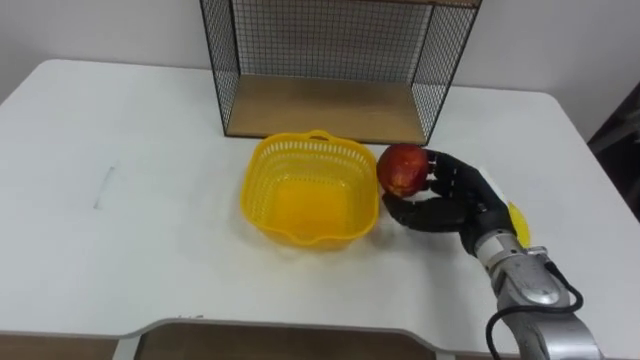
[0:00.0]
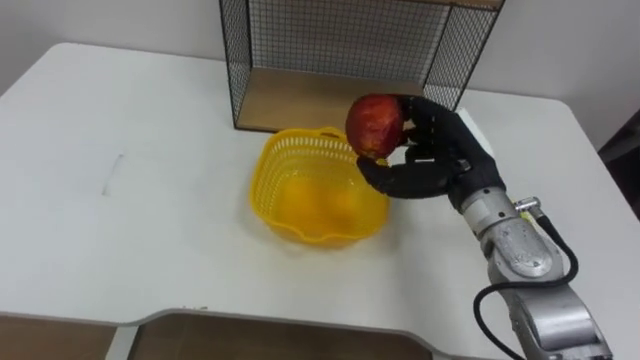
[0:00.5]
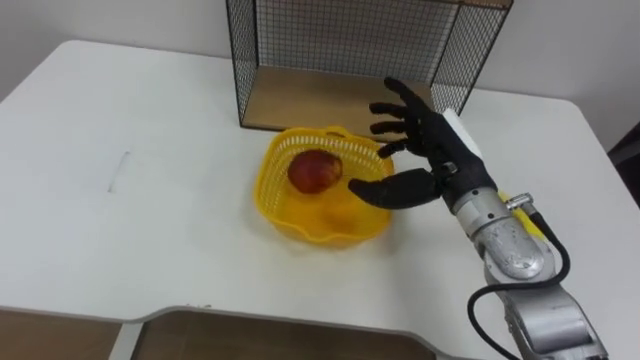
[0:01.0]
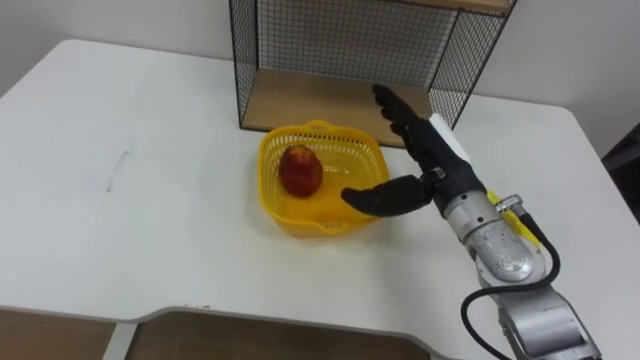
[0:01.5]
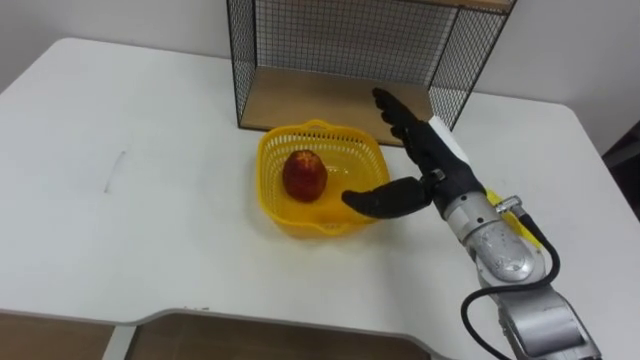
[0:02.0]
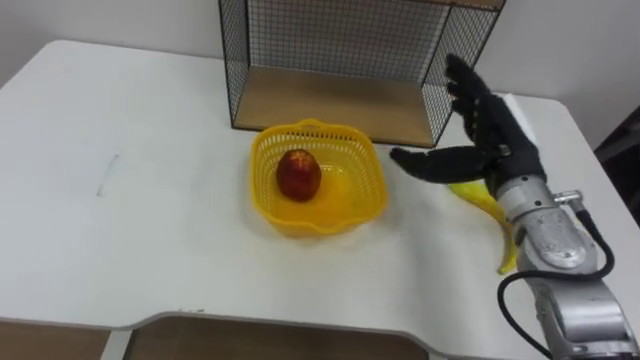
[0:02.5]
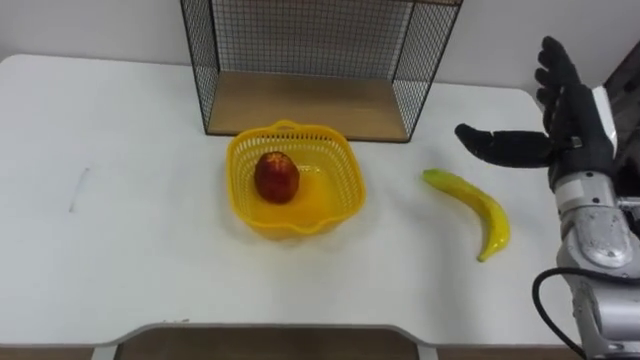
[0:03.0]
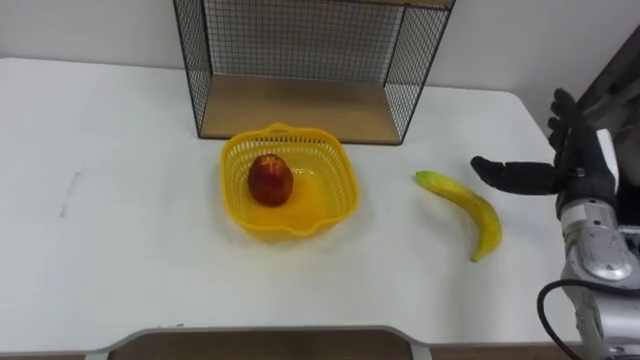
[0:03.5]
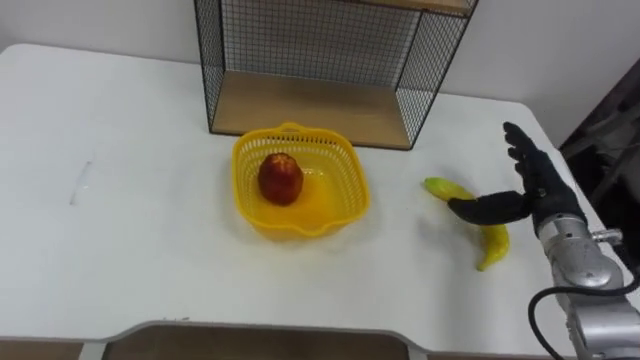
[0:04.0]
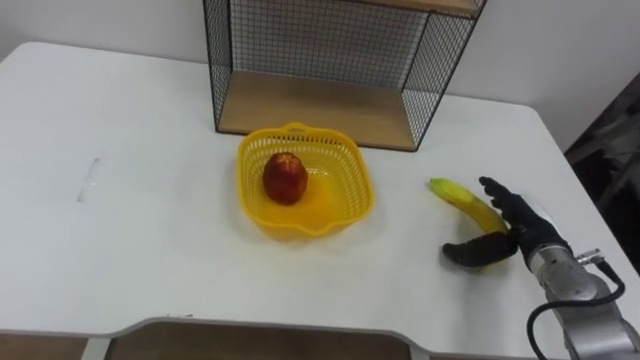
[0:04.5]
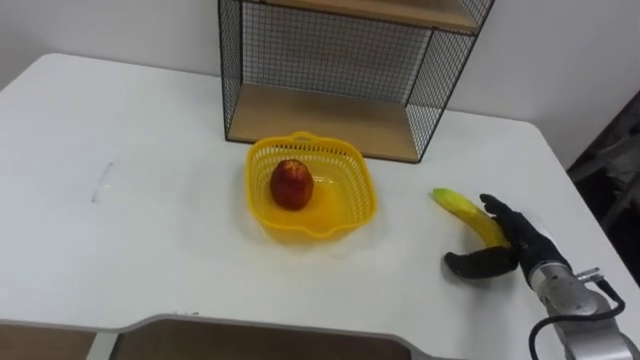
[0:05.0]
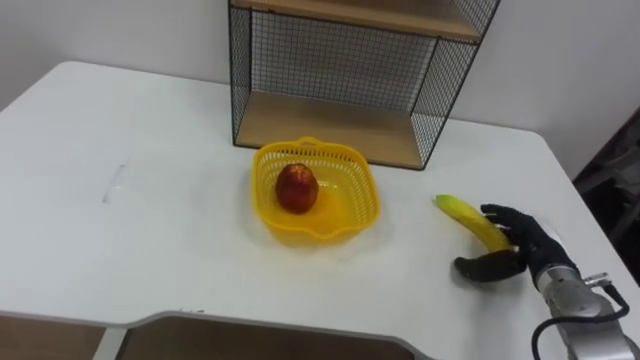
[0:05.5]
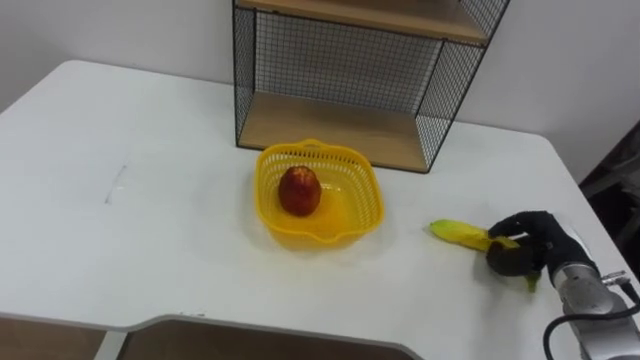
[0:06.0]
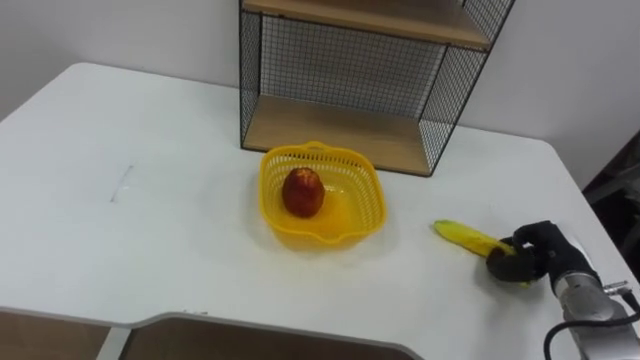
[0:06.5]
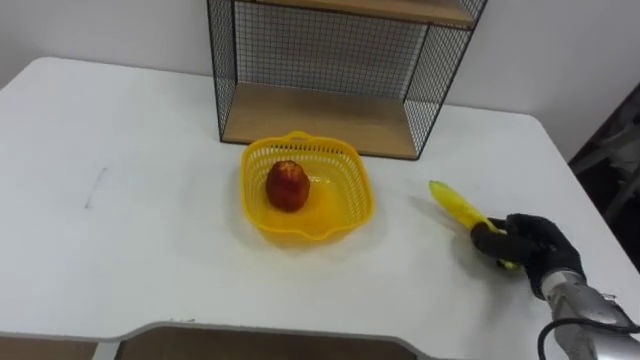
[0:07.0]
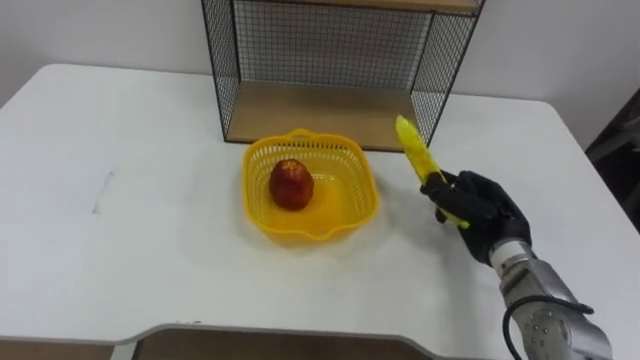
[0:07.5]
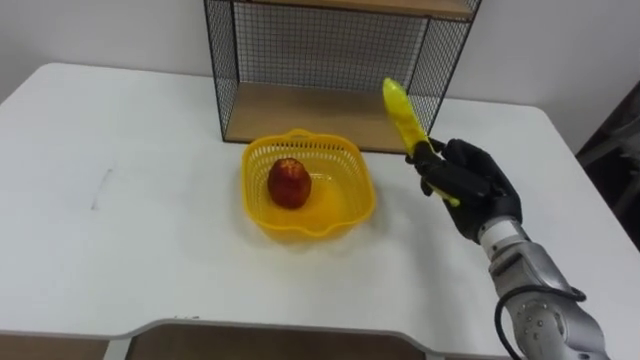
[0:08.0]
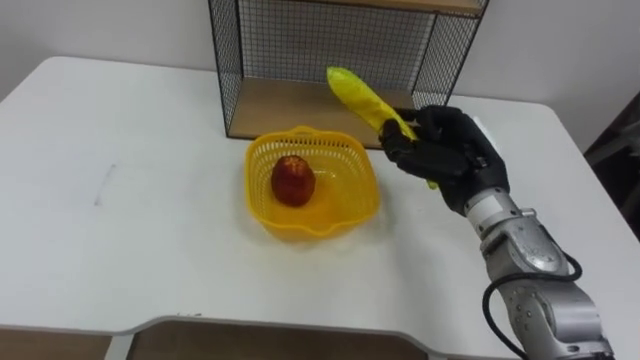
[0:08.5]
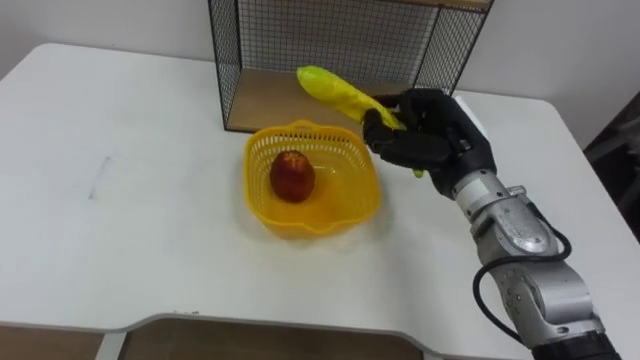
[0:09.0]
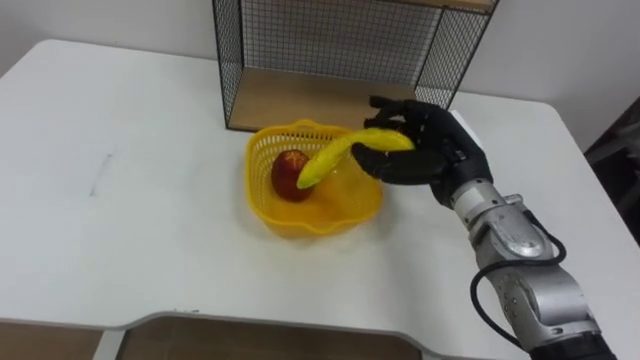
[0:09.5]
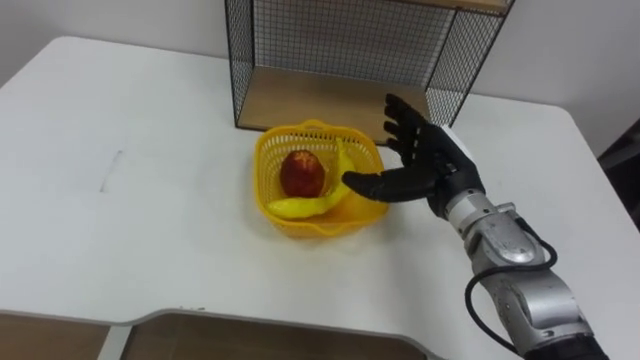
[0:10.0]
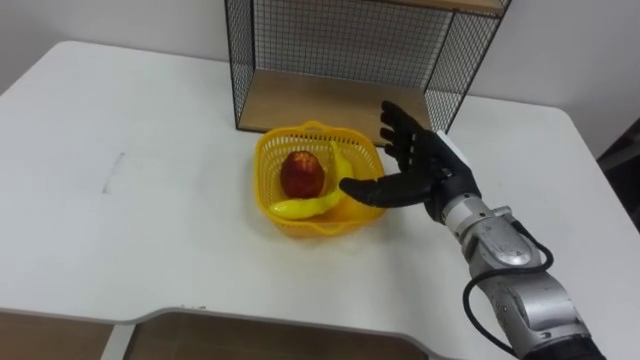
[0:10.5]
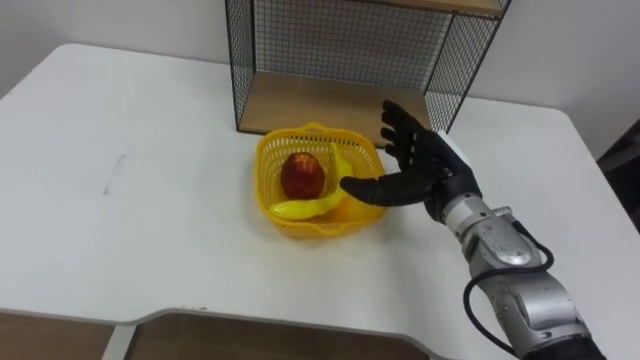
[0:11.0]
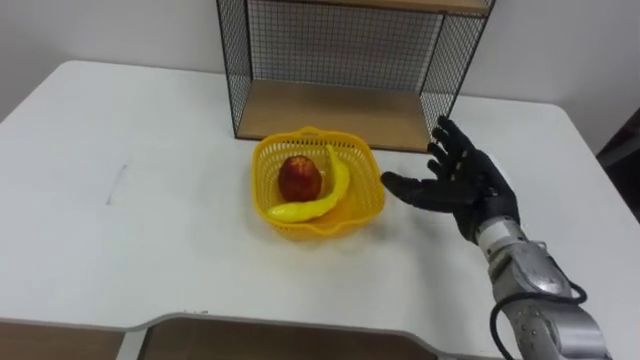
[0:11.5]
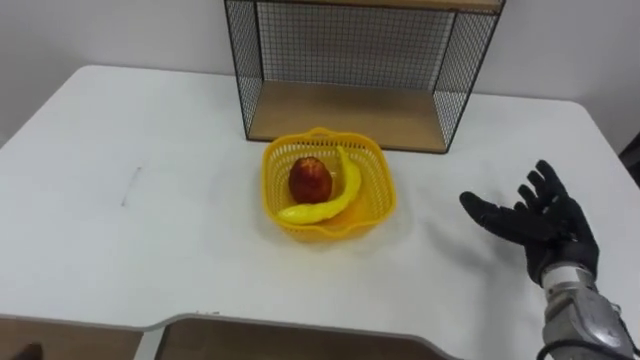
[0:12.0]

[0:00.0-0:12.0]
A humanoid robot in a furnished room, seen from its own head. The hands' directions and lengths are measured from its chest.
Task of the whole recording: Put the fruit on the table into the basket, then place the basket on the shelf.
0:00.0 to 0:02.0: The right hand is displaced upward and to the left by roughly 10 cm, and opens its fingers.
0:02.0 to 0:04.0: The right hand is displaced to the right by some 15 cm.
0:04.0 to 0:06.0: The right hand heads downward, covering approximately 10 cm, and closes up.
0:06.0 to 0:08.0: The right hand shifts about 15 cm to the left and upward.
0:08.0 to 0:10.0: The right hand heads to the left, covering about 5 cm, and opens.
0:10.0 to 0:12.0: The right hand is displaced to the right and backward by some 15 cm.

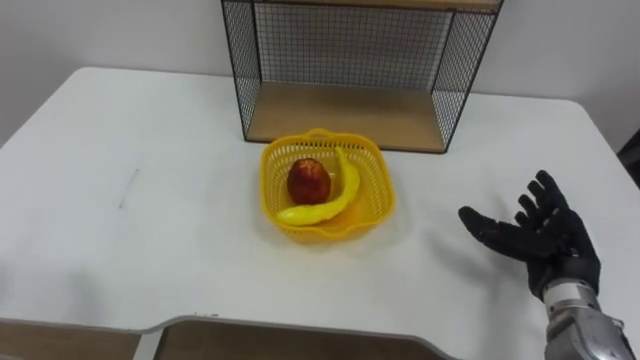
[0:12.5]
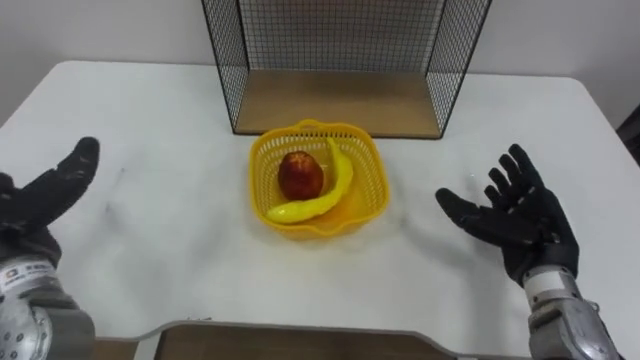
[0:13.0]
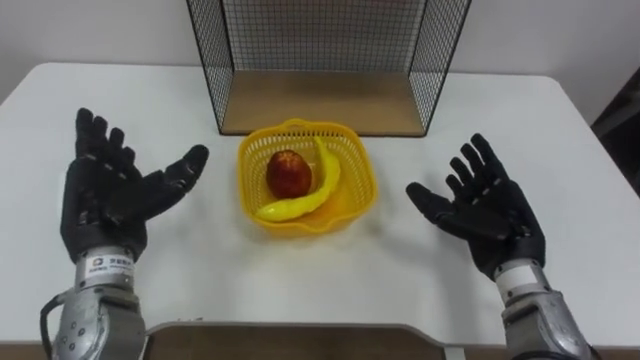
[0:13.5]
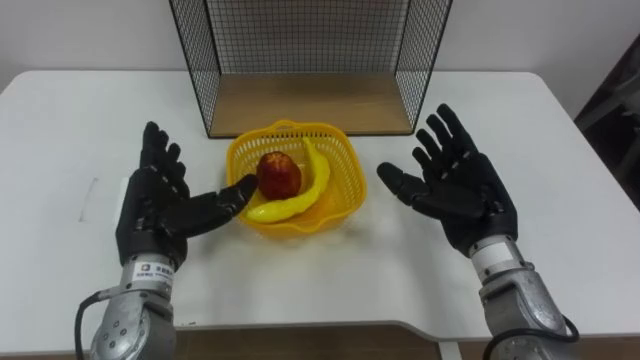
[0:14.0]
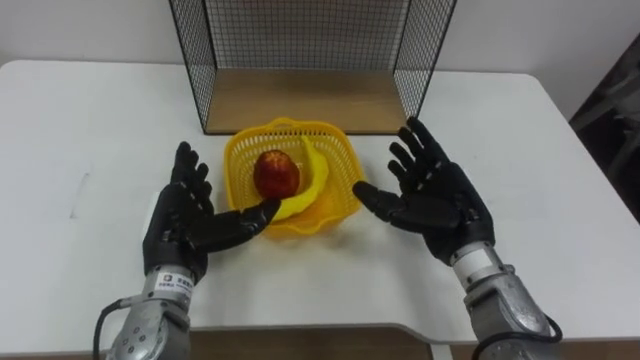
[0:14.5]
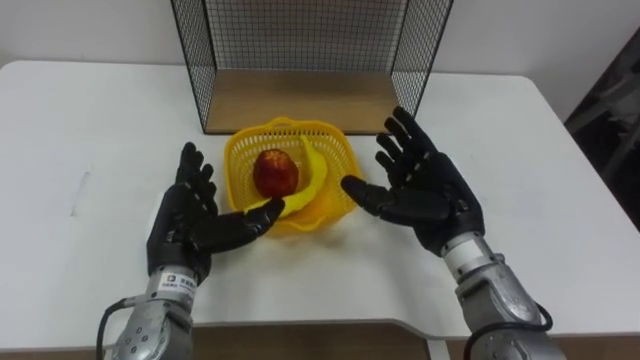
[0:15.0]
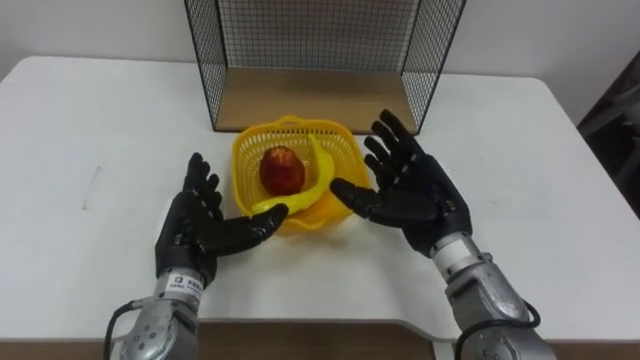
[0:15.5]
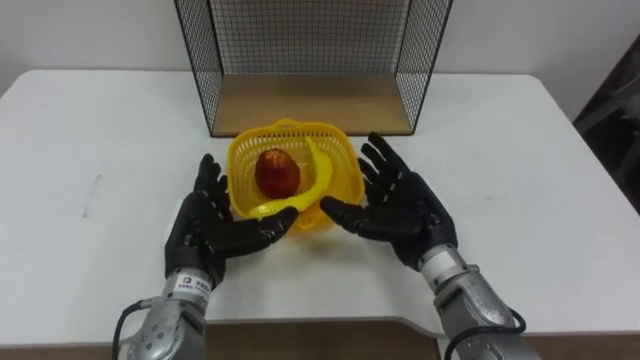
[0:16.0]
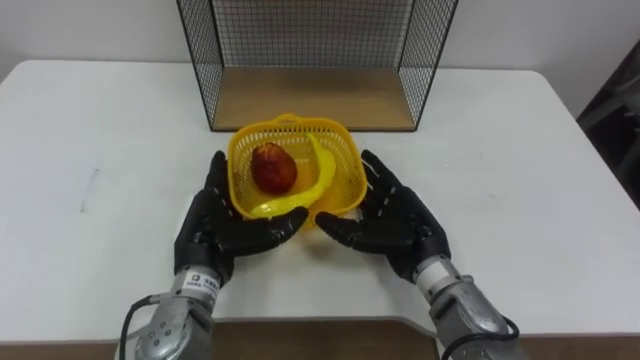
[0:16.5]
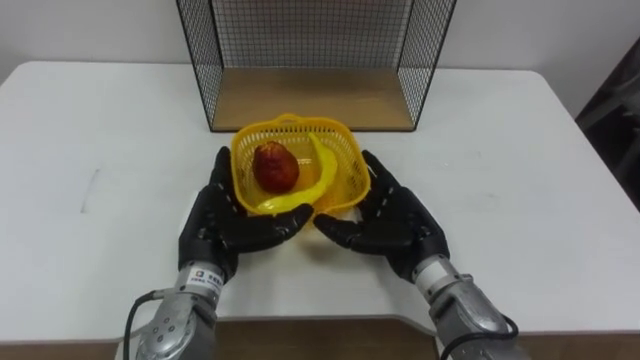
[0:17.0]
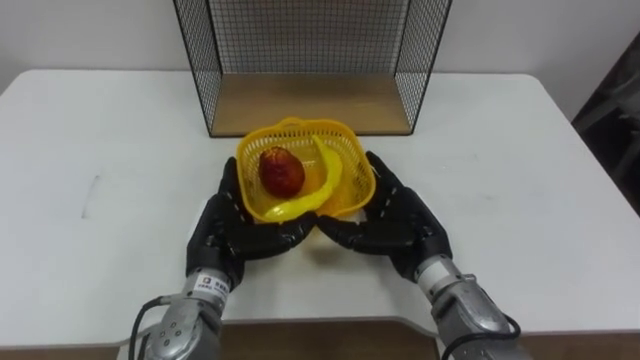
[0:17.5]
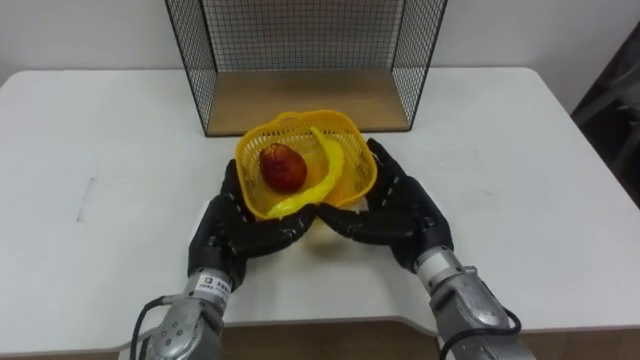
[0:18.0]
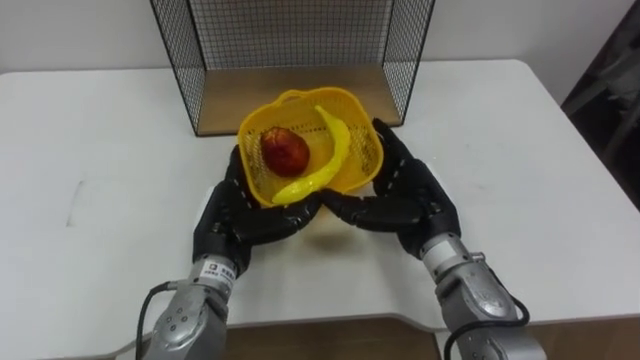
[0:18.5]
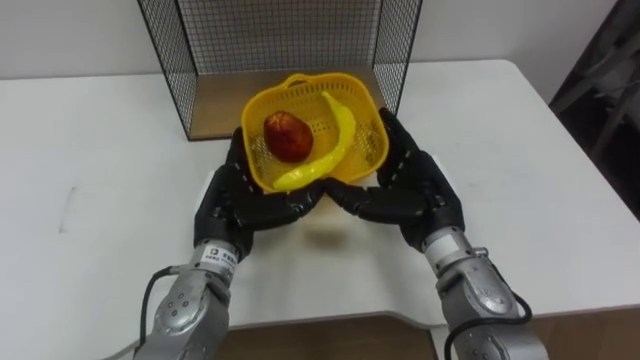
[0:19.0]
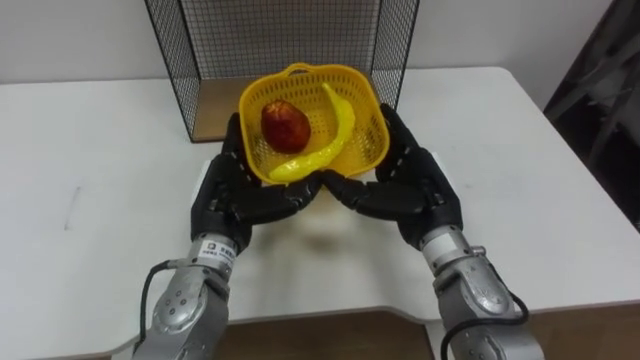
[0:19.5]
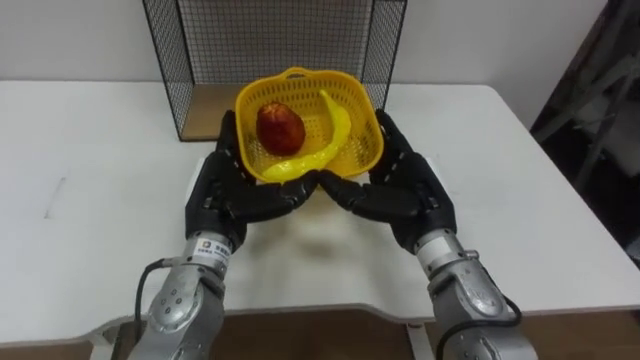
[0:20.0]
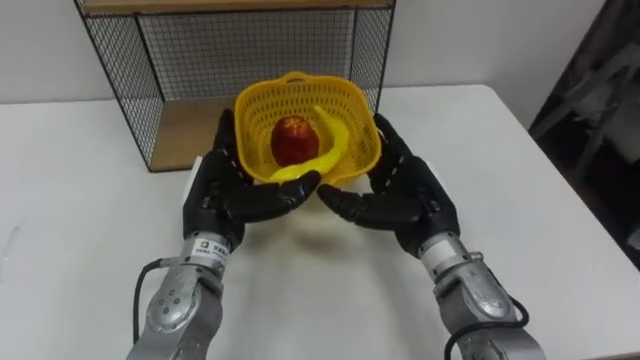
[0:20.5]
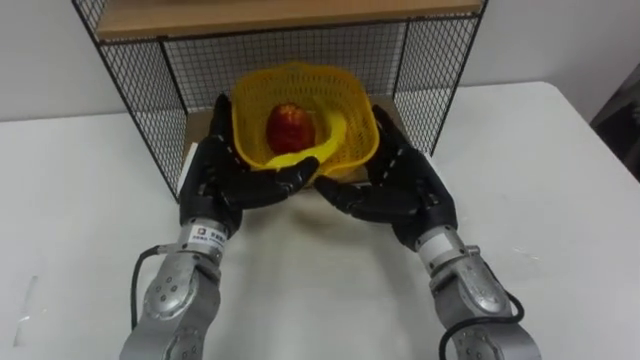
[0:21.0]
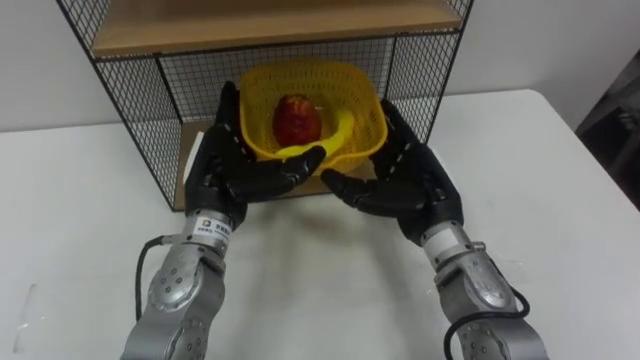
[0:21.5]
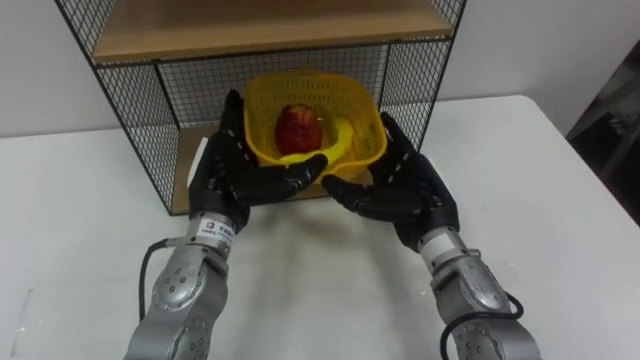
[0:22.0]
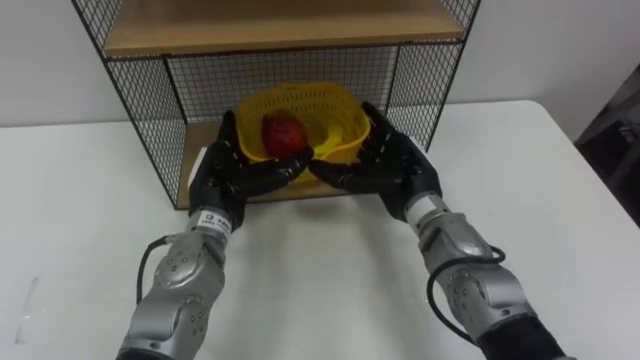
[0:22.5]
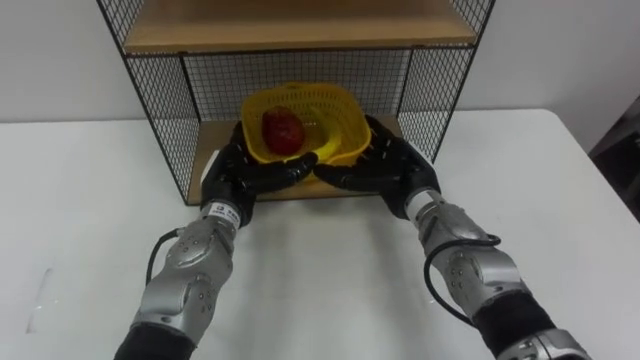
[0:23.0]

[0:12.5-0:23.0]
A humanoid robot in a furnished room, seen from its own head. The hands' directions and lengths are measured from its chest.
Task of the whole recording: Put the fruit on the table into the basket, then place the basket on the shelf.
0:12.5 to 0:14.5: The right hand is displaced to the left by about 15 cm.
0:14.5 to 0:16.5: The right hand changes place by roughly 5 cm.
0:16.5 to 0:19.0: The right hand changes place by about 5 cm.
0:21.0 to 0:23.0: The right hand travels forward by roughly 5 cm, while the left hand is displaced downward by about 5 cm.
